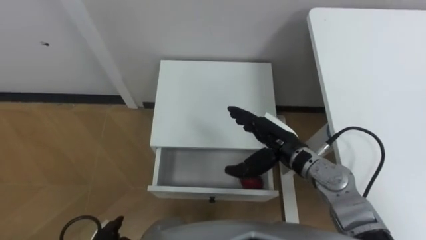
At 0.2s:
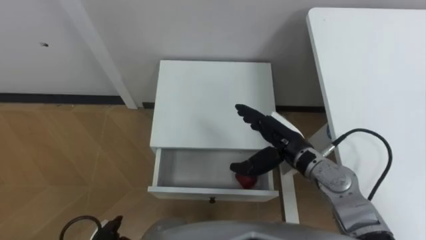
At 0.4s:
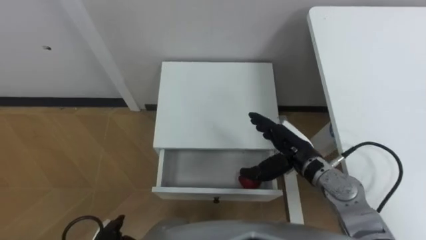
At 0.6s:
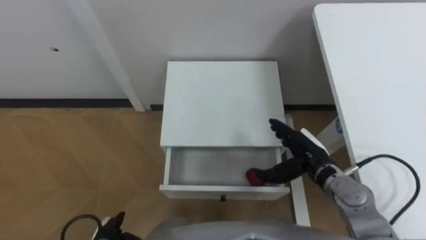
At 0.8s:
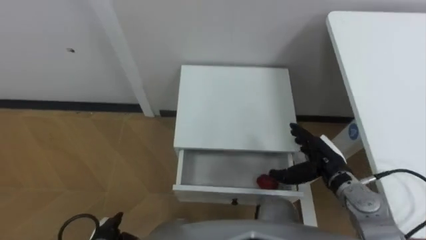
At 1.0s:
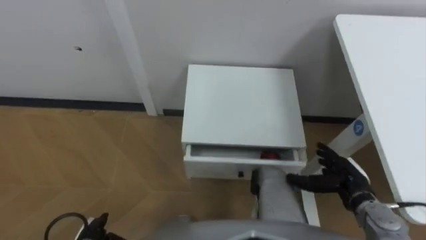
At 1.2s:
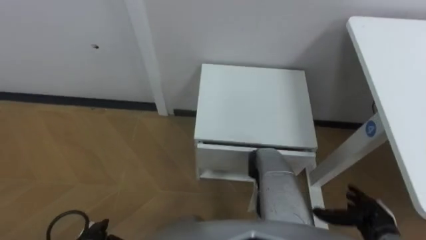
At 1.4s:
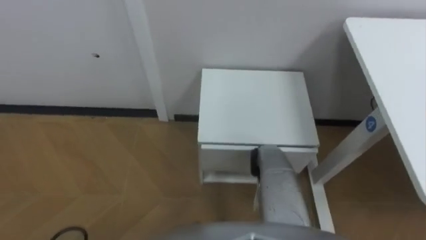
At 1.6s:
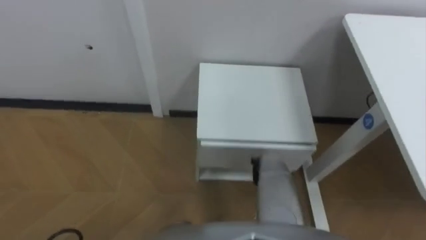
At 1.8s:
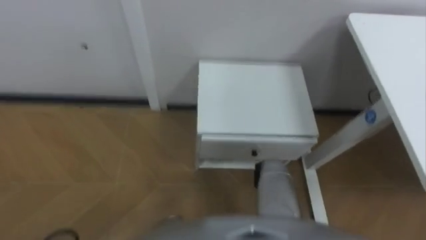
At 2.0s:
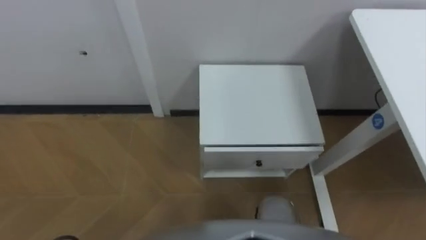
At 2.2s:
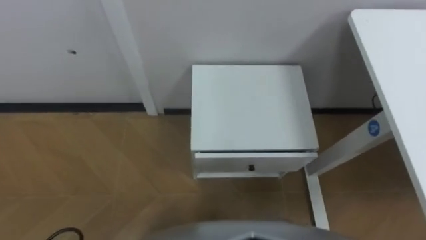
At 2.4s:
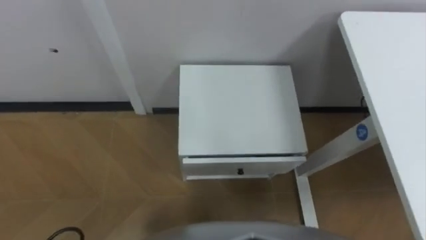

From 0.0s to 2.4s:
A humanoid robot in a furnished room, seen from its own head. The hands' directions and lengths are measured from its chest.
Task of the whole recording: Pick up the apple from the table, put it in the drawer, and close the drawer with leg.
From 0.0s to 1.2s: The right hand moves to the right, backward and downward, approximately 25 cm.

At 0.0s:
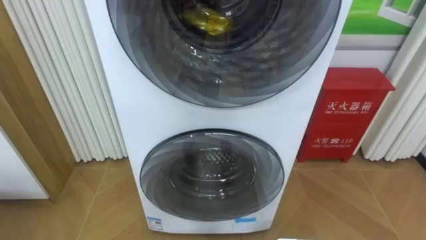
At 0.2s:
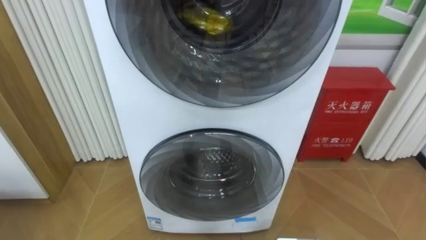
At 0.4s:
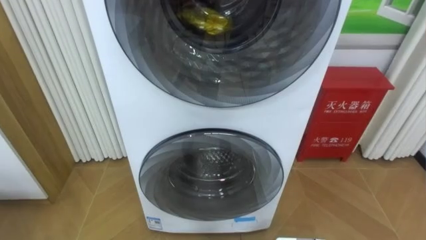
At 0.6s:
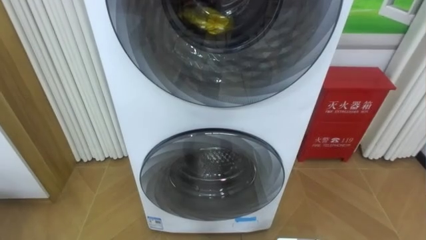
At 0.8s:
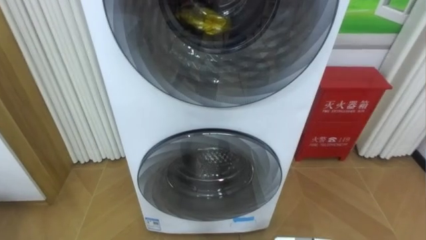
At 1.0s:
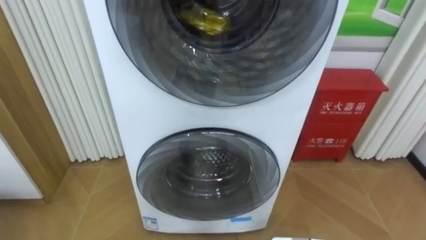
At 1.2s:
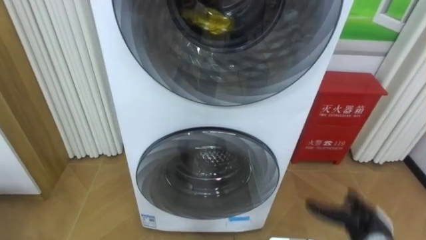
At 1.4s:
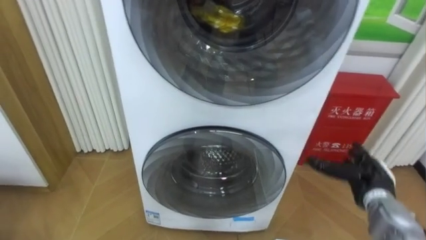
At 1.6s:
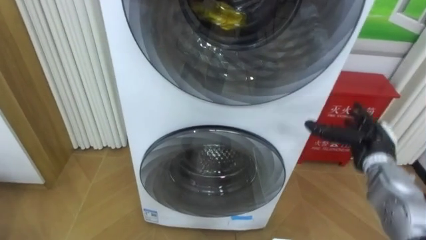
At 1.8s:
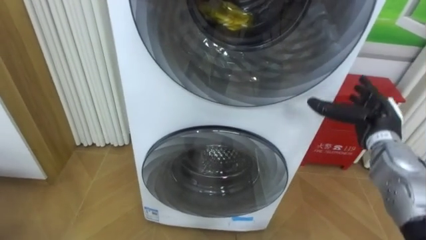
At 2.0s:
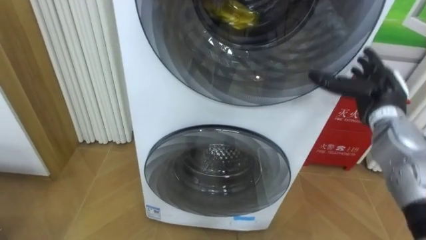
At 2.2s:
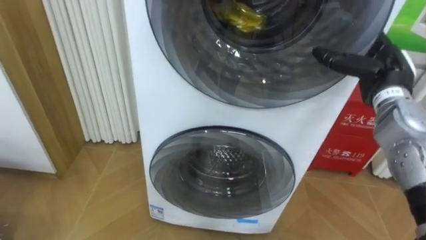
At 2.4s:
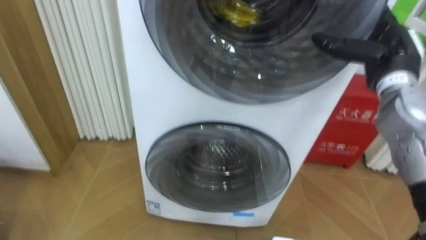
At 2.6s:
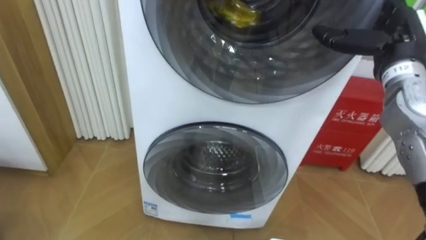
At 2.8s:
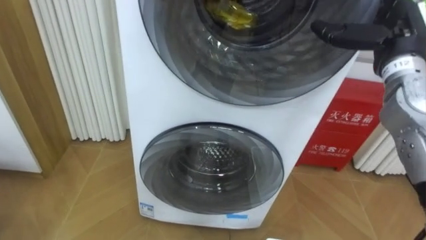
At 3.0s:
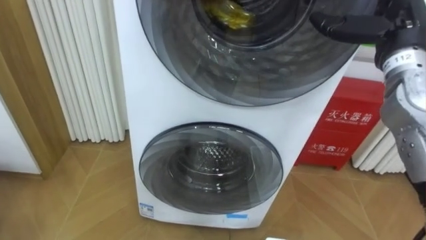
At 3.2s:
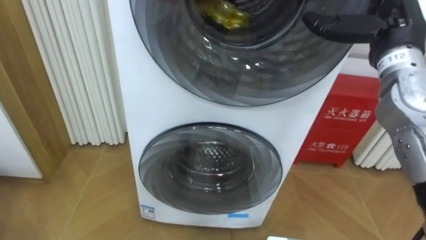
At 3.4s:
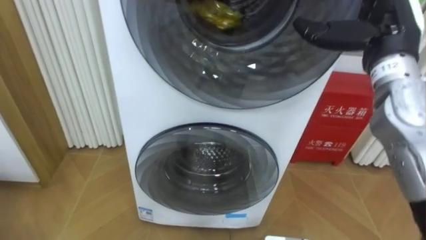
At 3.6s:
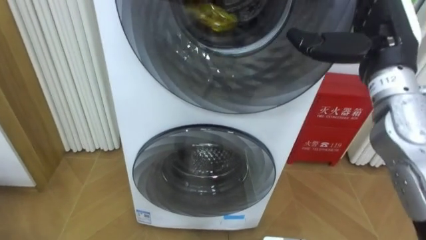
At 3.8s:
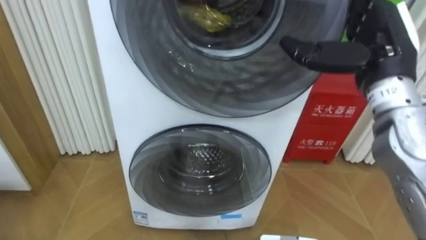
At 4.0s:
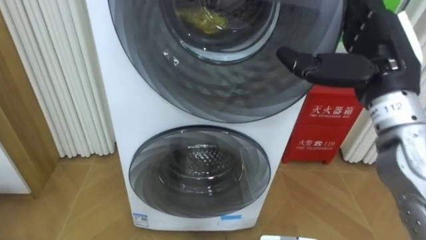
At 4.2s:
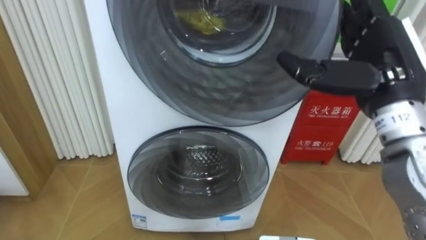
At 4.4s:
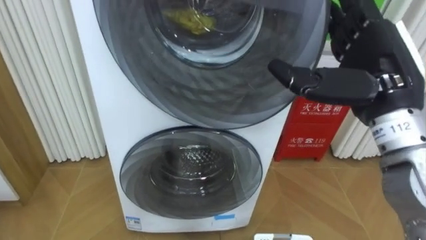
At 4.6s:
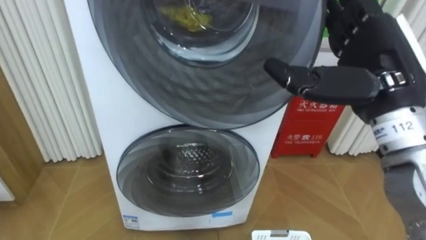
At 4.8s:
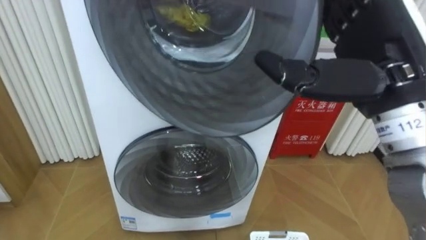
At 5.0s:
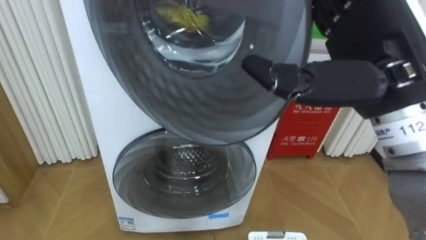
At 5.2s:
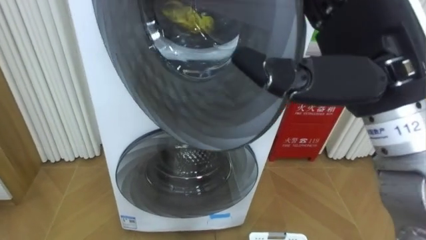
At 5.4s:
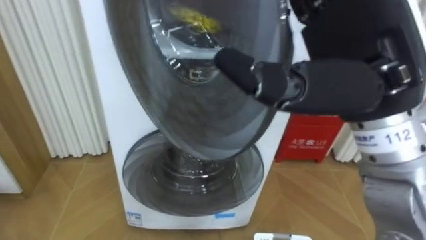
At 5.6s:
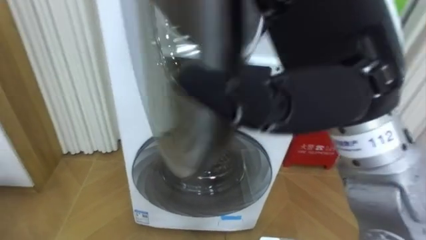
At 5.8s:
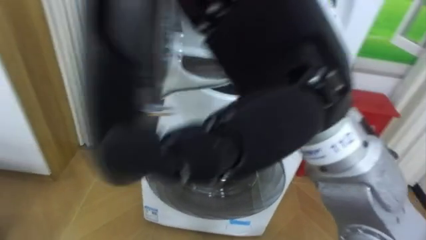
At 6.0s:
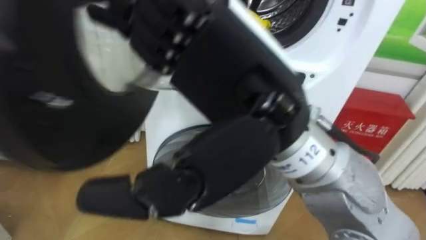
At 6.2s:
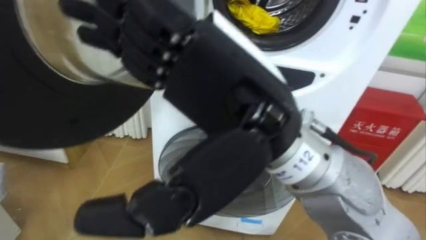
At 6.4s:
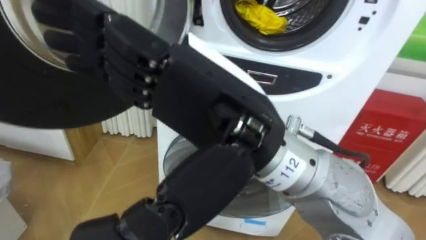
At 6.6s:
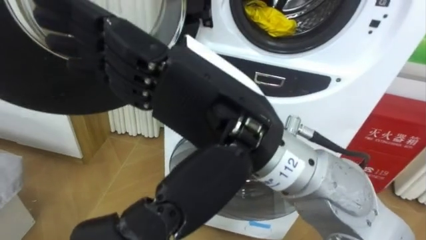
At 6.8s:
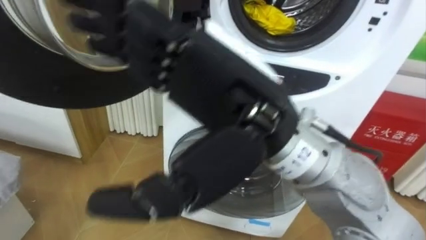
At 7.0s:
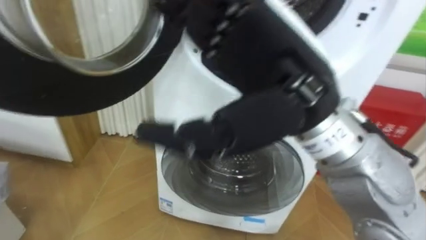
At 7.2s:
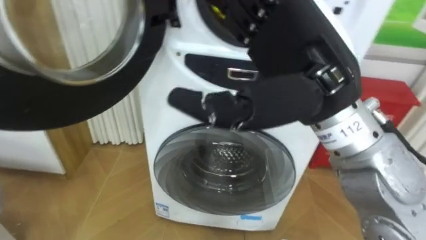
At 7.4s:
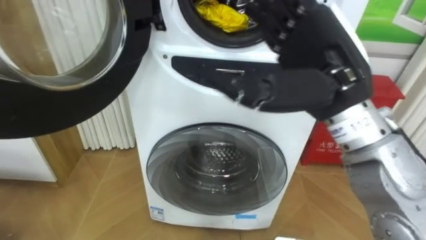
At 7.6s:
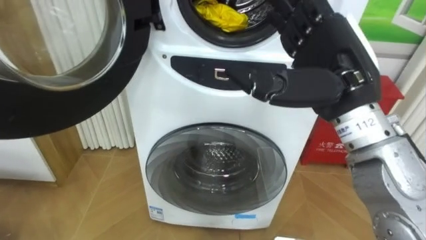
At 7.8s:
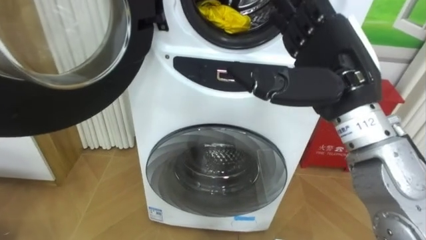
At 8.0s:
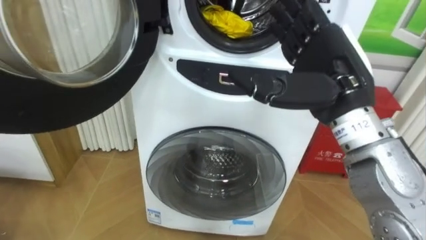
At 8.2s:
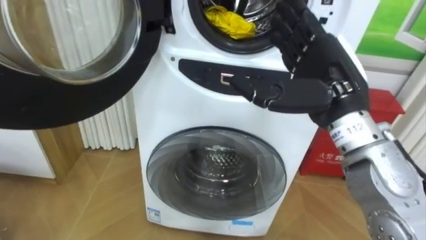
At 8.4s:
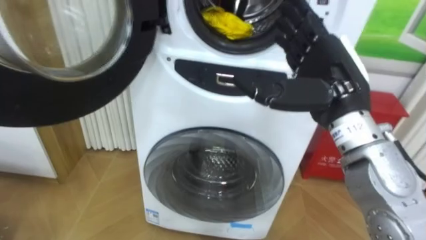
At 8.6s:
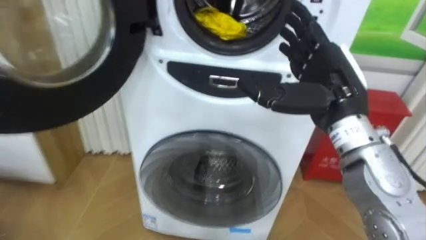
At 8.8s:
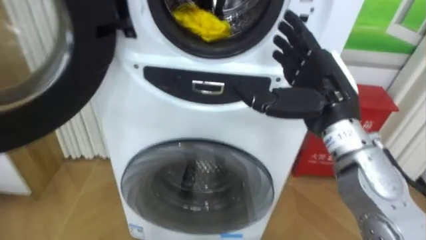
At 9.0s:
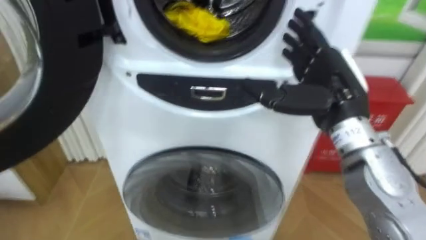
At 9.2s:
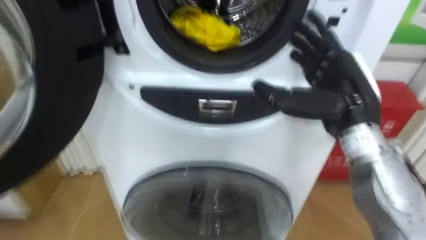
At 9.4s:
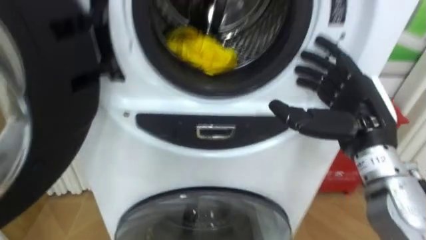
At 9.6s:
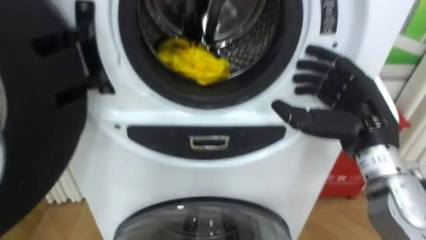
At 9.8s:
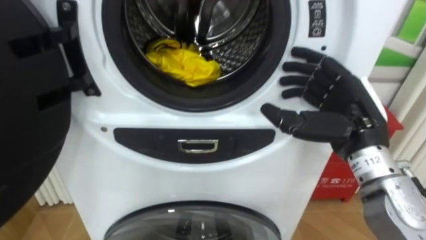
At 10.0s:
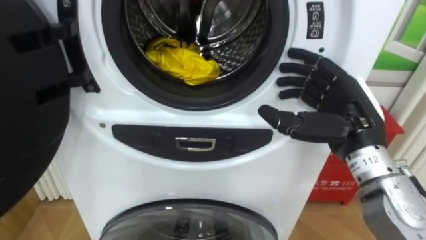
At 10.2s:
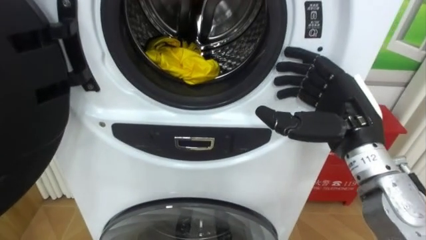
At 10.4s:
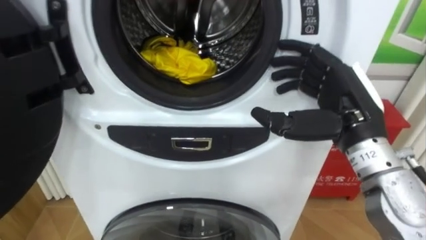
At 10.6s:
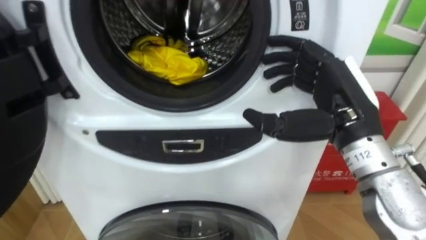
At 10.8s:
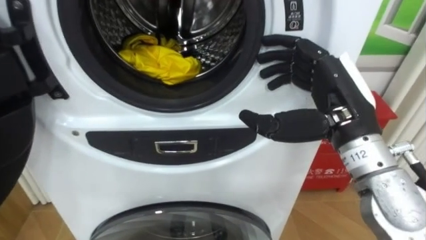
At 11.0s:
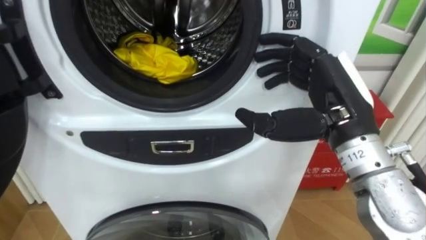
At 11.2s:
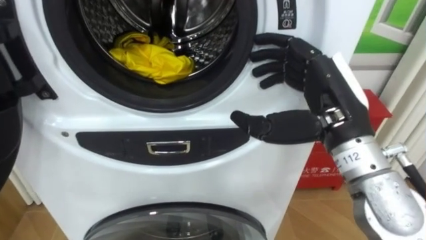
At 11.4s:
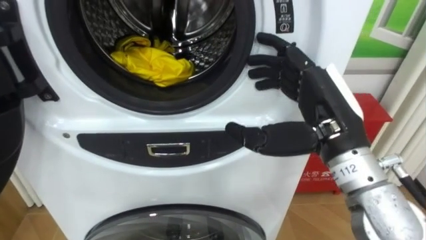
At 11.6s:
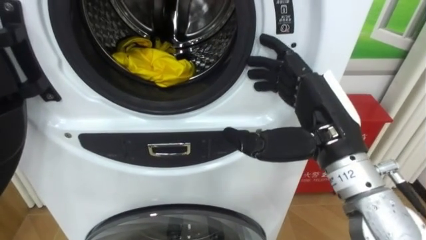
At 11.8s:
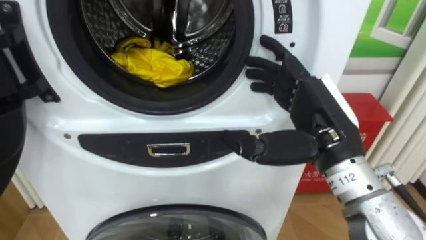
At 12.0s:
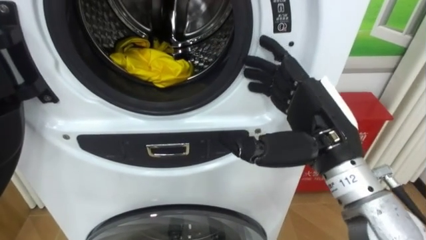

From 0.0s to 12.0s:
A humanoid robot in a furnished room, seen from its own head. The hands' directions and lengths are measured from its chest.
Task of the whole recording: Open the washing machine door, take out the yellow clothes, place them in the box on the right, and close the washing machine door.
From 1.6s to 3.0s: The right hand heads upward, covering roughly 20 cm.
From 3.0s to 4.4s: The right hand heads backward and to the left, covering roughly 10 cm.
From 4.4s to 6.0s: The right hand travels to the left and backward by approximately 20 cm.
From 6.0s to 7.6s: The right hand travels to the right and forward by roughly 15 cm.
From 7.6s to 9.0s: The right hand goes roughly 5 cm downward.
From 10.4s to 12.0s: The right hand heads to the left, covering about 5 cm.

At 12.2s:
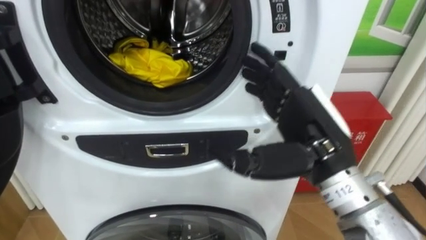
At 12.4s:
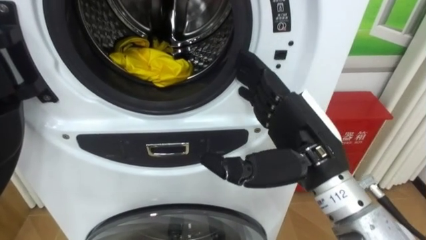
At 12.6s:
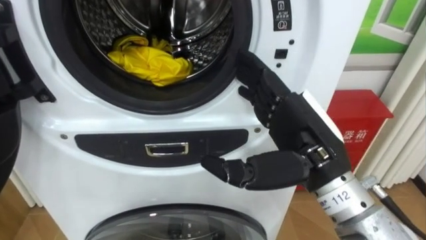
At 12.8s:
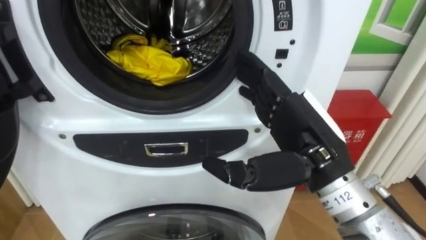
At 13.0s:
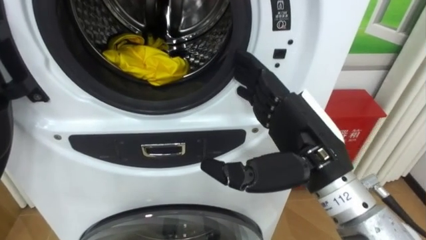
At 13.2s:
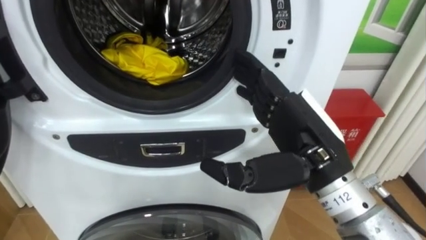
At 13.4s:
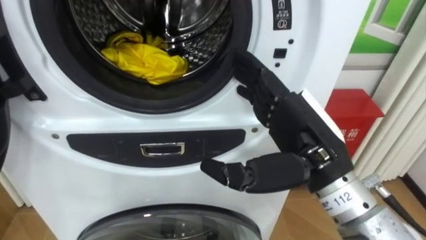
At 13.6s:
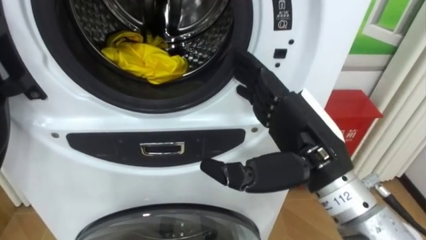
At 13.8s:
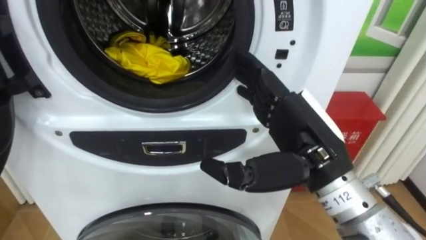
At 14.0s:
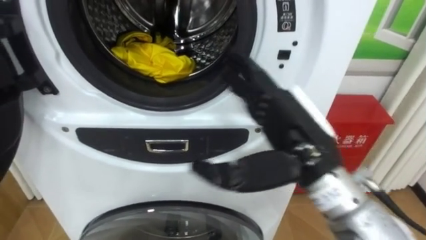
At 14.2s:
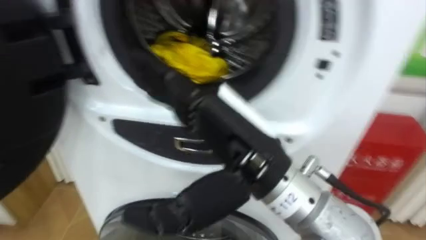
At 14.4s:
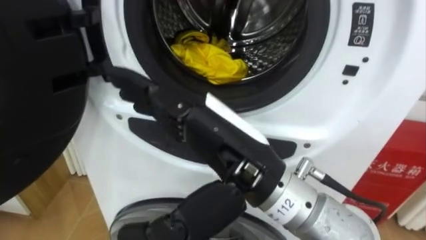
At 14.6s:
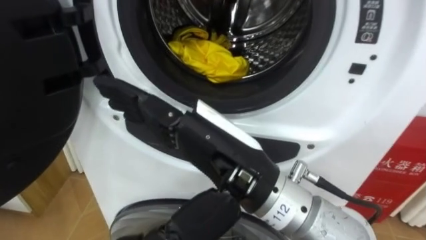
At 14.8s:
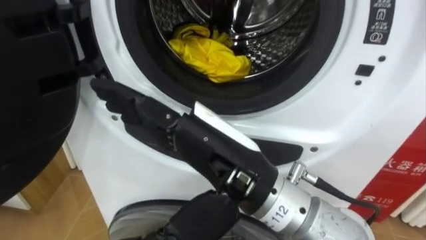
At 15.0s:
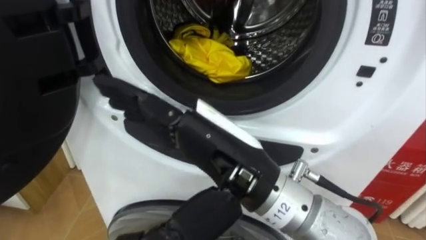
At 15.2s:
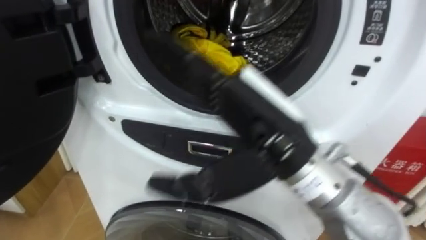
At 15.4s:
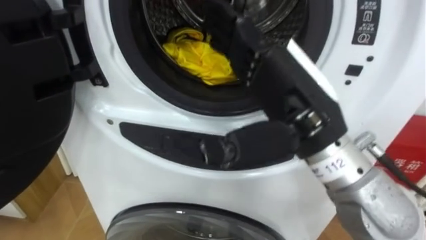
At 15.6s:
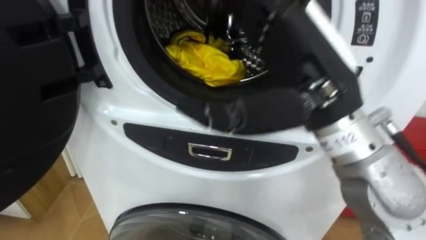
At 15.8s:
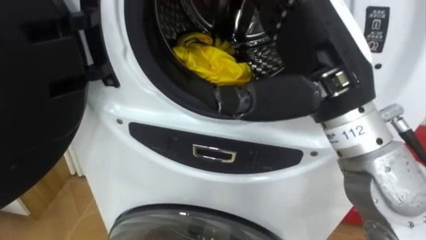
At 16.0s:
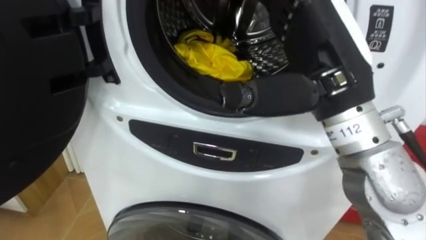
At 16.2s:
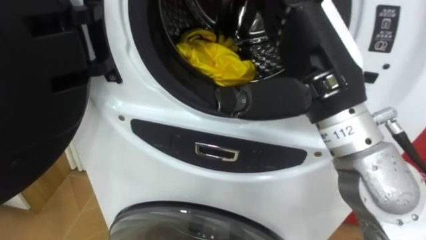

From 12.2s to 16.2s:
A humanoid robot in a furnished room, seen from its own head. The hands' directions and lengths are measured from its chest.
Task of the whole recording: Open the washing machine door, take out the yellow clothes, place them in the box on the right, and close the washing machine door.
From 13.6s to 14.8s: The right hand heads to the left, covering about 10 cm.
From 14.8s to 16.2s: The right hand is displaced to the right, forward and upward by approximately 15 cm.
